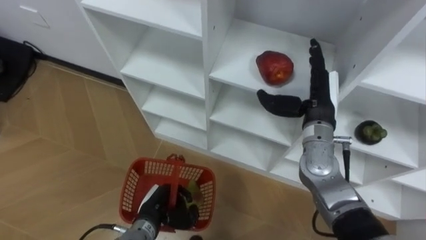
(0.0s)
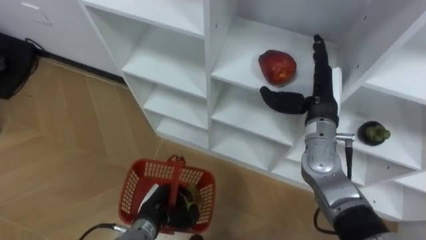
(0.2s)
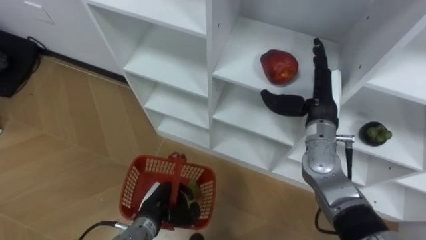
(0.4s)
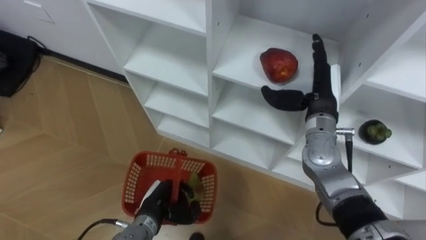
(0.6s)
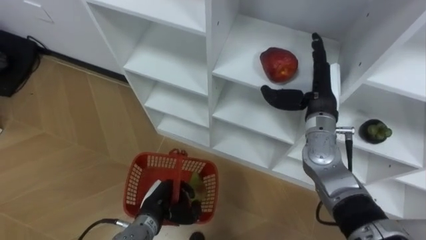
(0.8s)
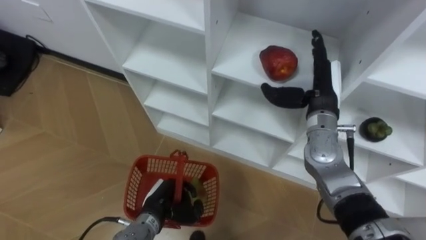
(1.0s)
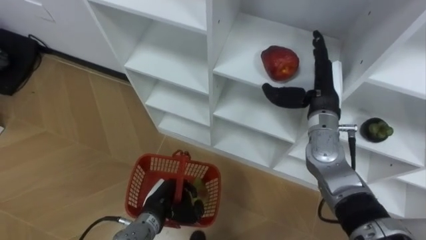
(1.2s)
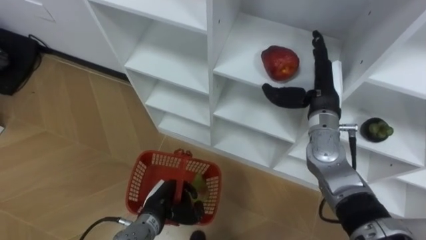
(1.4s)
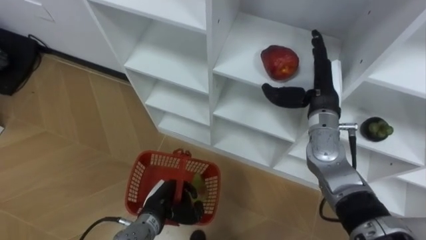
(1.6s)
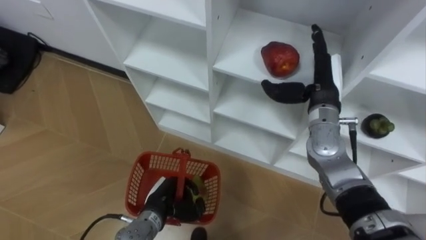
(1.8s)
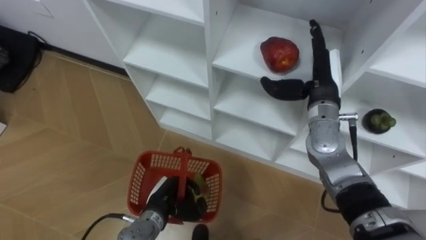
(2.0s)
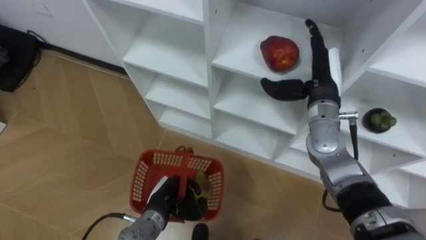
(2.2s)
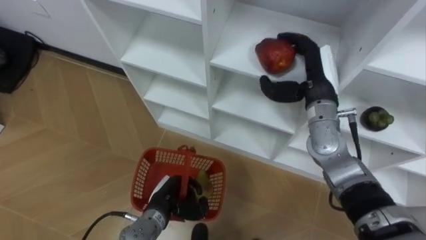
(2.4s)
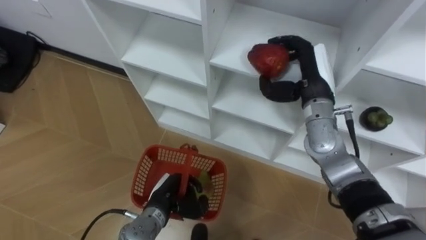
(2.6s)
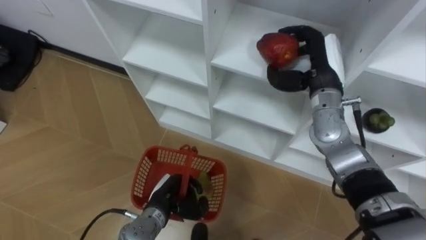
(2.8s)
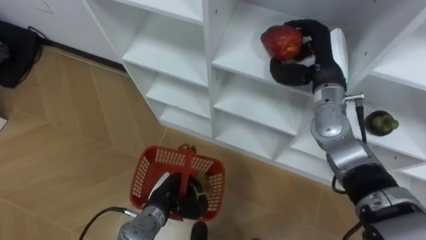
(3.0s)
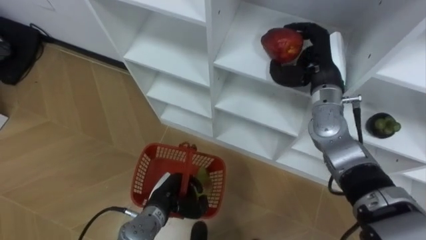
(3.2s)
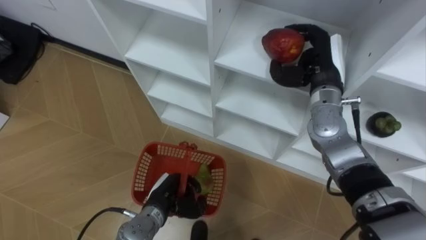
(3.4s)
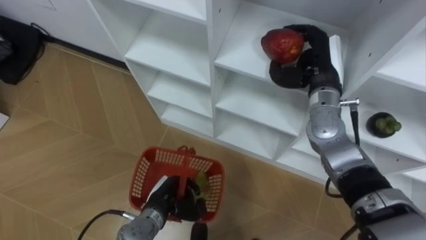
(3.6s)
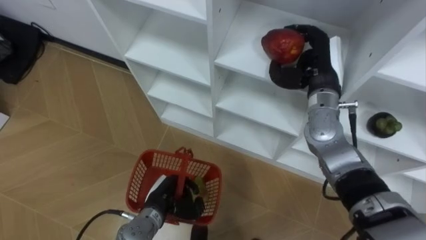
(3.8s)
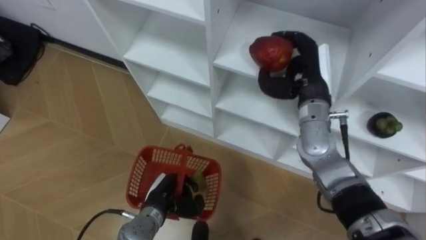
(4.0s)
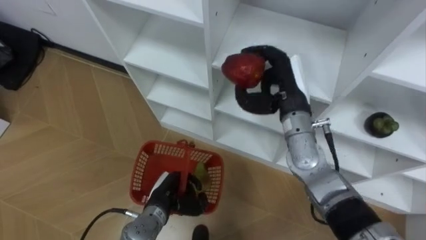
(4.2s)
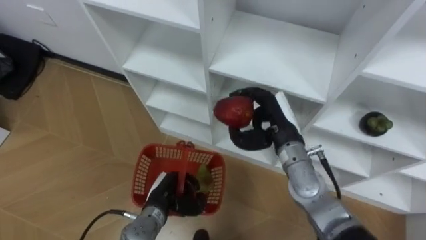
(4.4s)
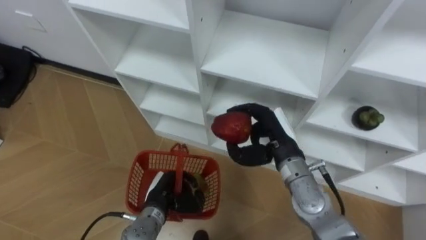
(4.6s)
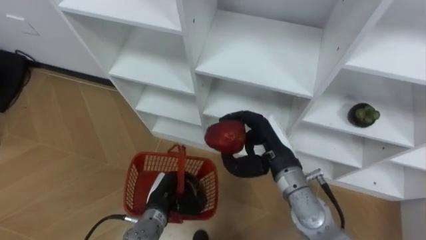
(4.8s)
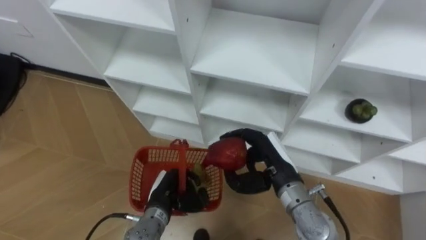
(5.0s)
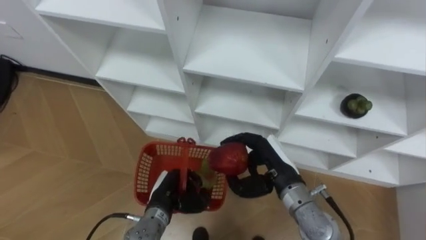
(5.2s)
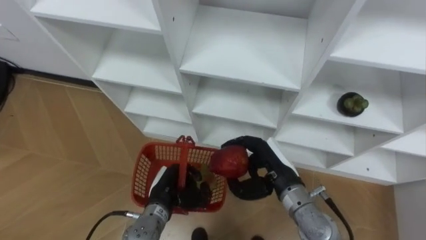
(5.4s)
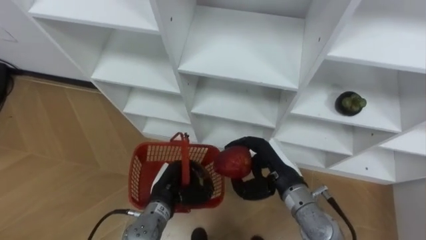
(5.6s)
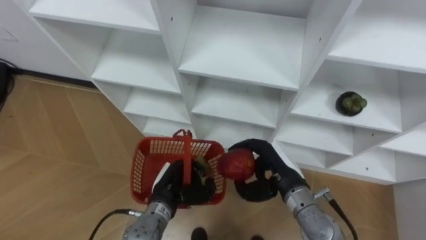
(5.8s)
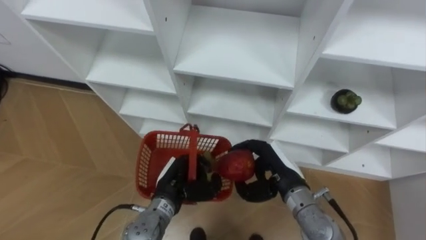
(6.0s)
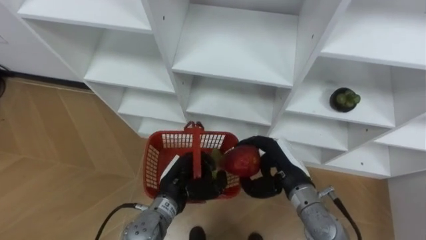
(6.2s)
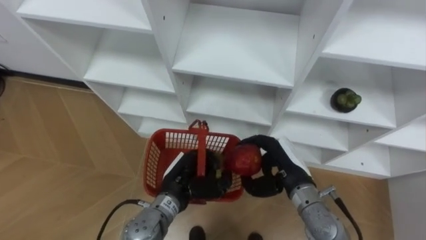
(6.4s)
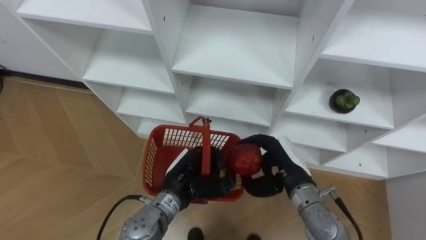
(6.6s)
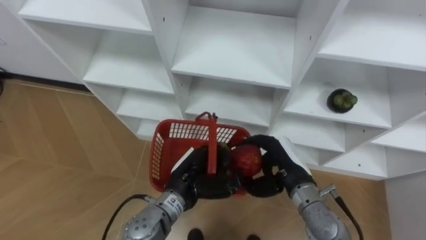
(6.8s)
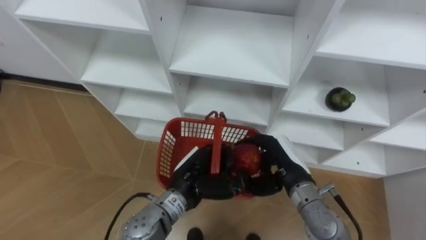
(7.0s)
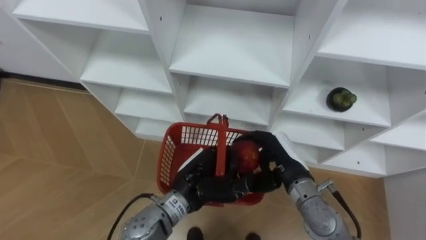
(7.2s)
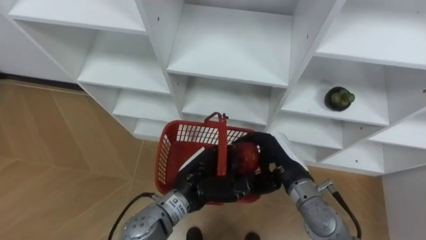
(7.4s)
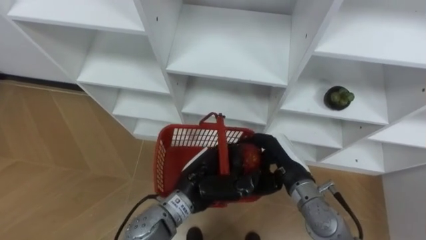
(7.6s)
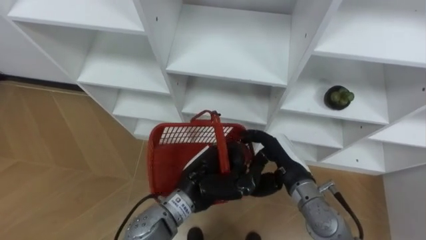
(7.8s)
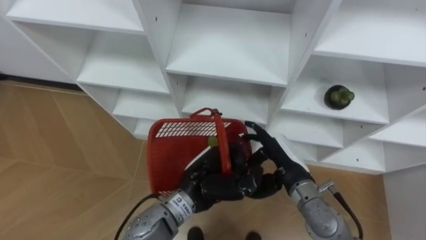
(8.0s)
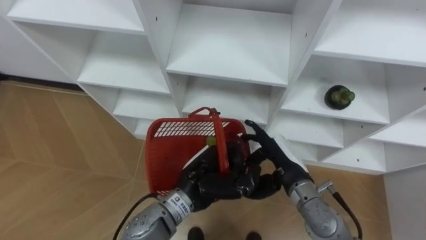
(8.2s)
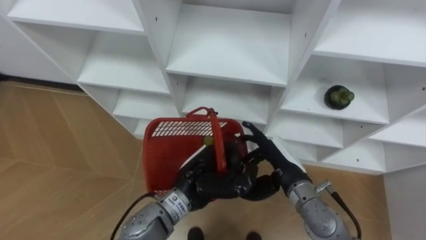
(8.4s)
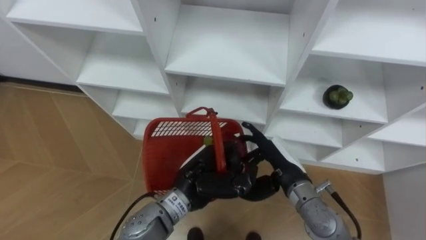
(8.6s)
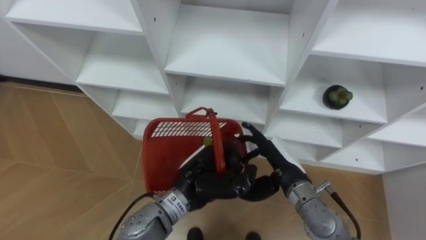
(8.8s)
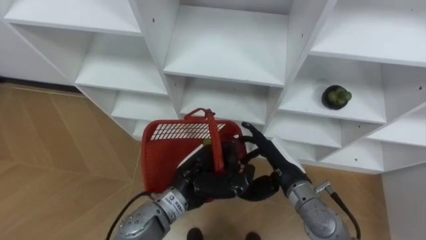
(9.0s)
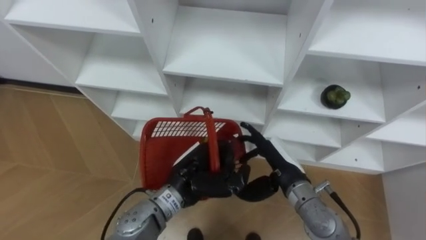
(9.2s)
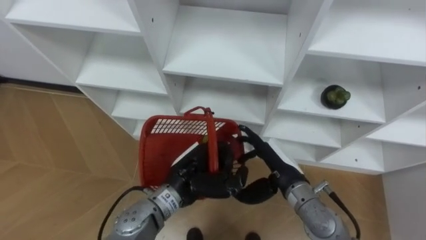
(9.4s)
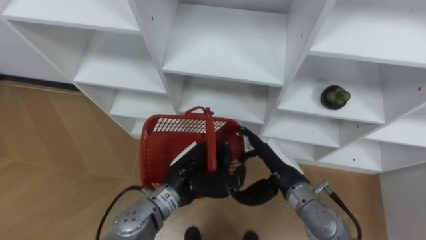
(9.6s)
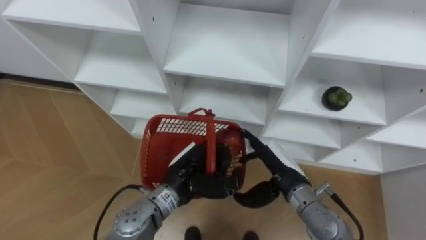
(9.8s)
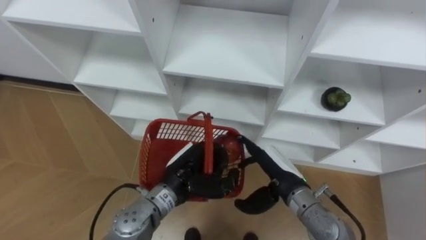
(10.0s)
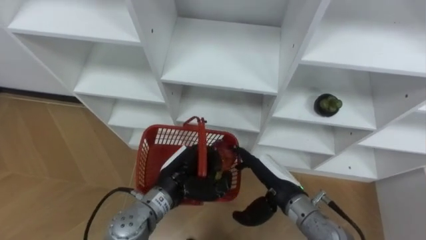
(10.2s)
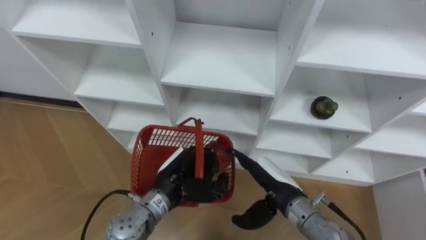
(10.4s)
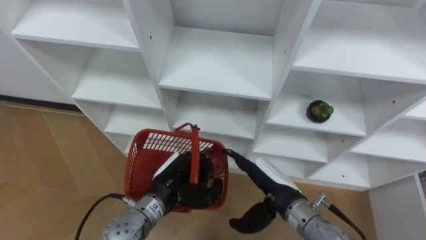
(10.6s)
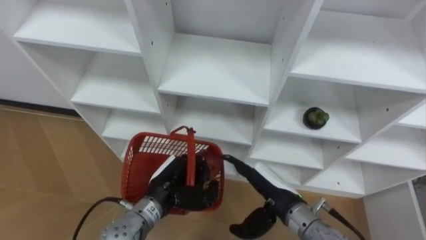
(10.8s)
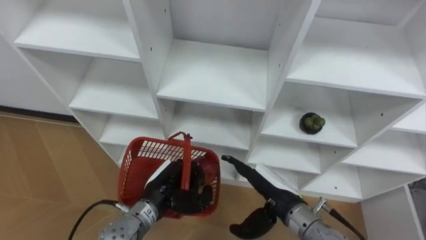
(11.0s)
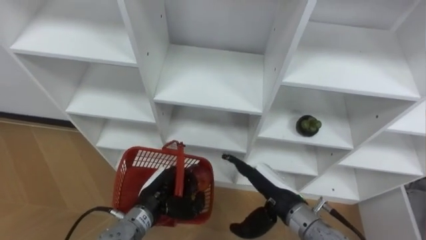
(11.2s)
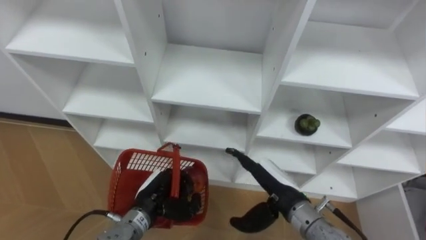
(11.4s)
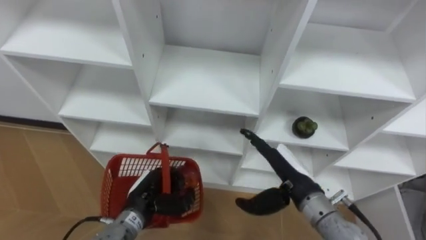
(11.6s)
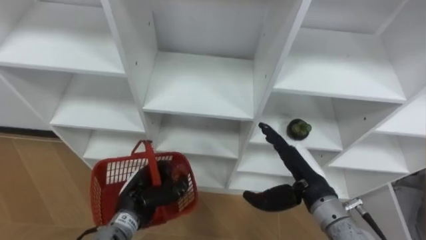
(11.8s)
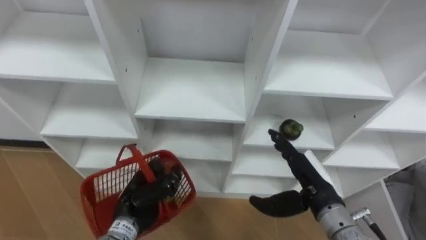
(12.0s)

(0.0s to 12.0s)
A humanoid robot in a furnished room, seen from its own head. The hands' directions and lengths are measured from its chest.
Task of the whole recording: Hold the basket and collect the fruits from 3 different cells of the closet into it.
1.6s - 3.0s: The right hand changes place by roughly 5 cm, and closes its fingers.
3.0s - 4.4s: The right hand shifts about 10 cm to the left, downward and backward.
4.4s - 6.0s: The left hand shifts by some 5 cm. Meanwhile the right hand shifts about 10 cm backward and downward.
6.0s - 7.6s: The left hand is displaced upward and to the right by about 10 cm.
7.6s - 9.0s: The right hand opens its fingers.
9.0s - 10.4s: The left hand moves roughly 5 cm.
10.4s - 12.0s: The right hand shifts approximately 5 cm to the right. The left hand is displaced to the left by roughly 5 cm.

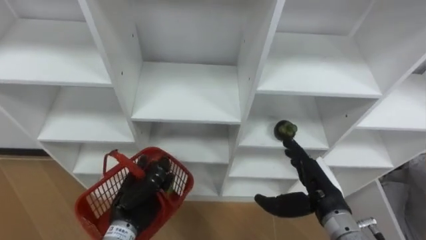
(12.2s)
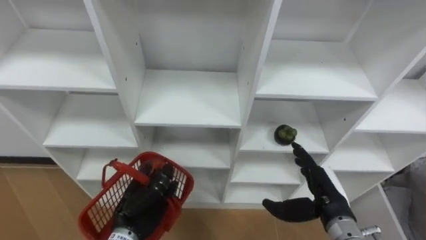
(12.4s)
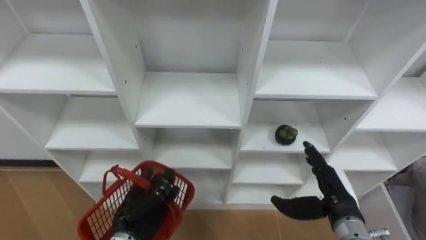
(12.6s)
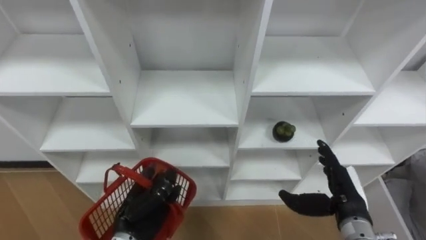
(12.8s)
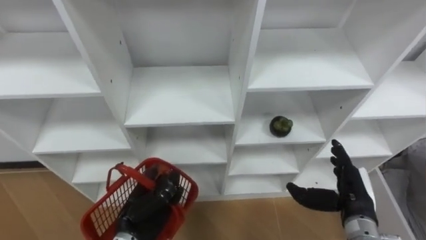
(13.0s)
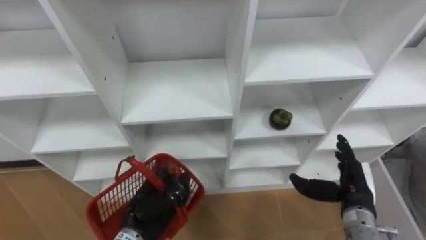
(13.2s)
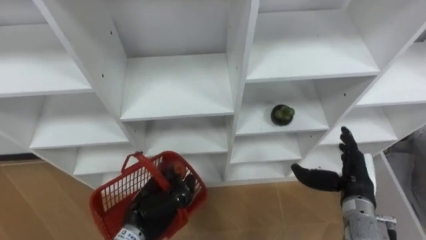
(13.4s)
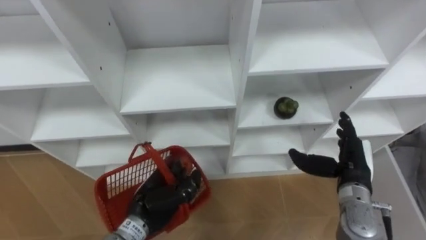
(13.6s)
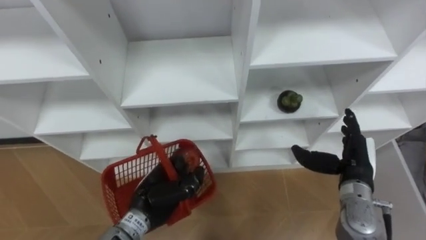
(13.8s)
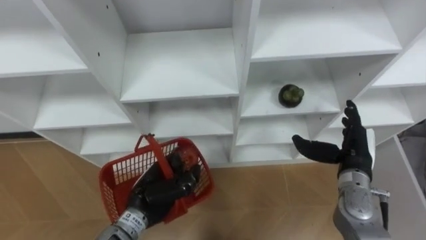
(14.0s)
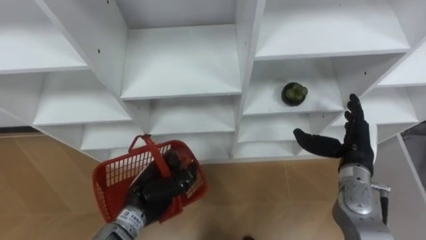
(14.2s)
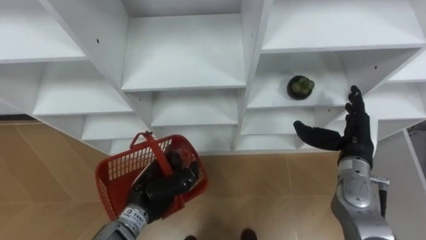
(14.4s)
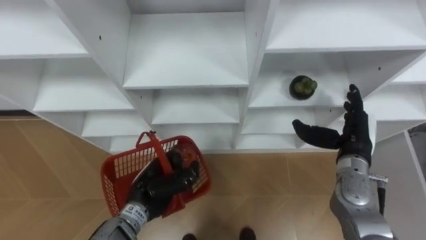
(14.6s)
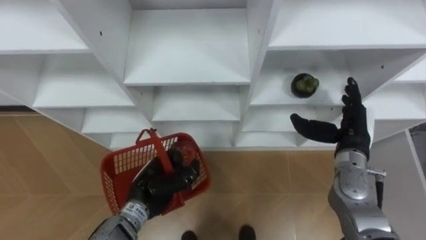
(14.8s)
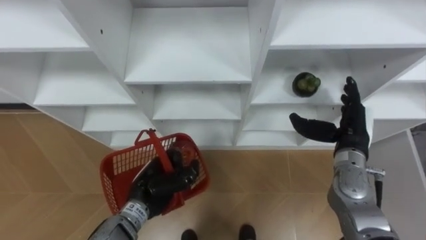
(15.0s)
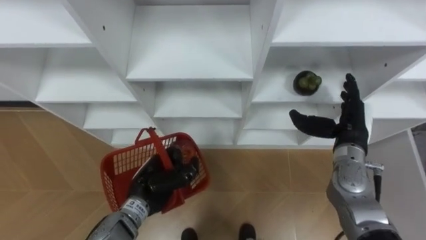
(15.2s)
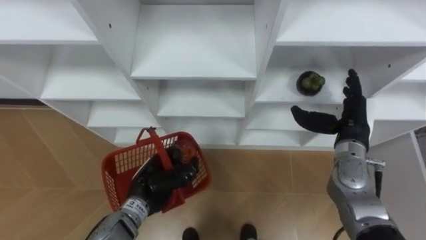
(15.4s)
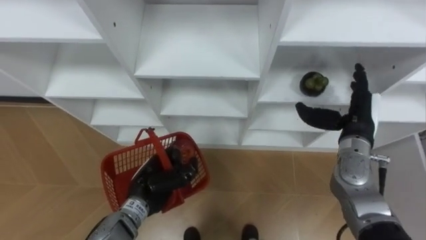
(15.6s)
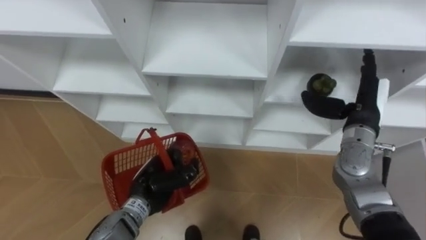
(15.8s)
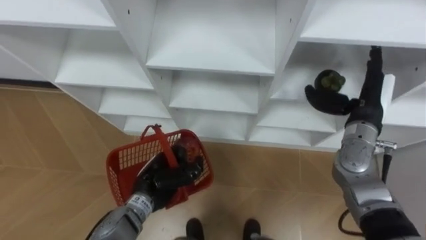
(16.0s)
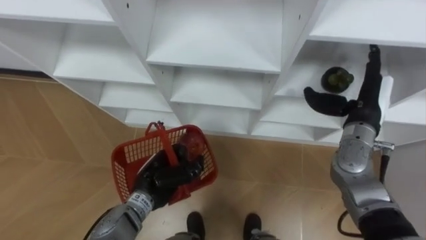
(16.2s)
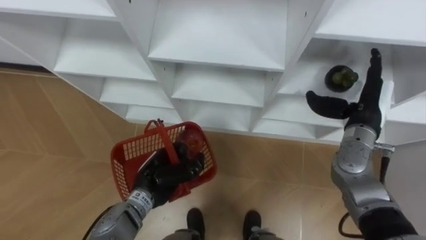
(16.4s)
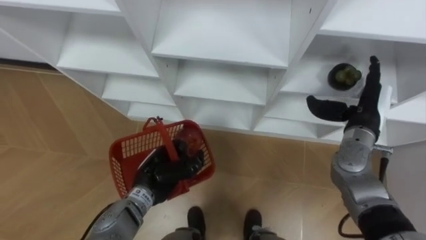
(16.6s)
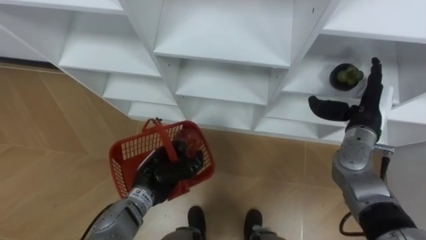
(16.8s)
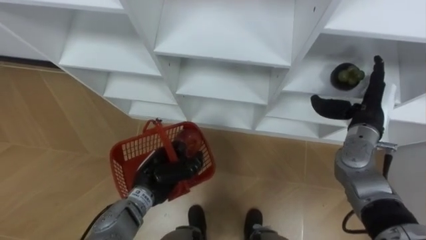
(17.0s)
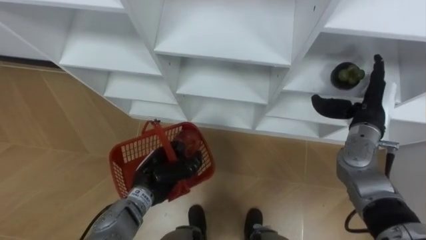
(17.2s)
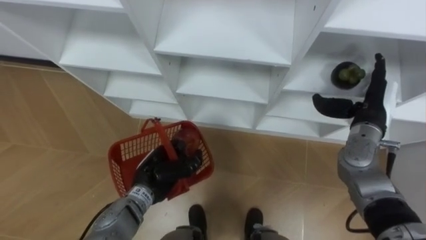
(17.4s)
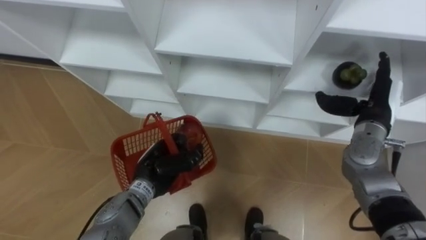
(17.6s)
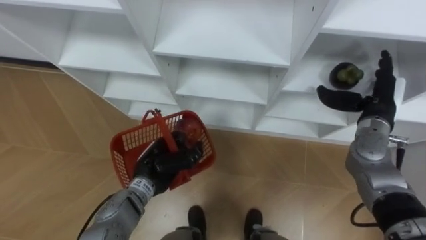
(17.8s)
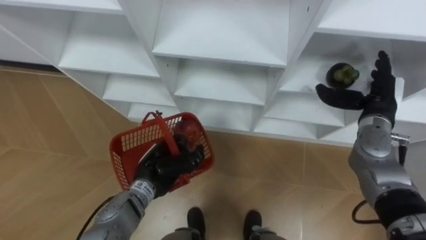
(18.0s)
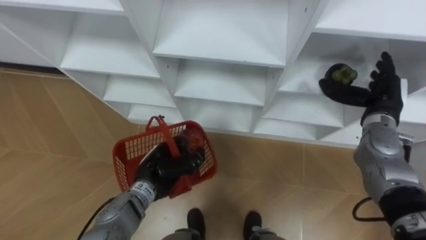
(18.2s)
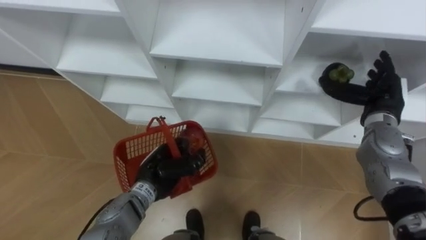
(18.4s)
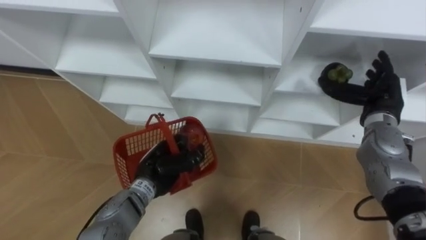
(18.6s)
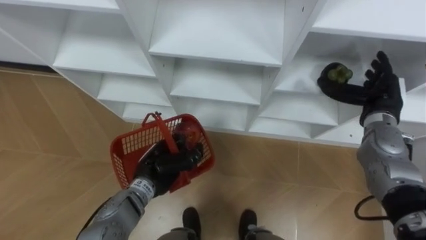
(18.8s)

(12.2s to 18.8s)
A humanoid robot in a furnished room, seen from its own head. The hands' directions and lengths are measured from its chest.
Task of the whole recording: Hold the basket and collect the fruits from 3 different cells of the closet into it.
12.2s - 13.8s: The right hand goes approximately 5 cm to the right.
13.8s - 15.4s: The right hand is displaced forward by about 5 cm.
